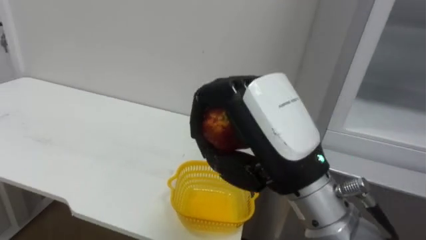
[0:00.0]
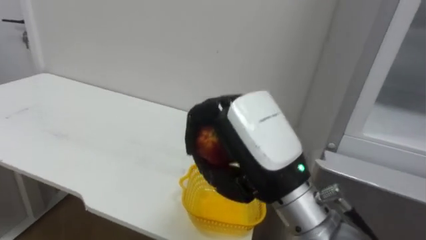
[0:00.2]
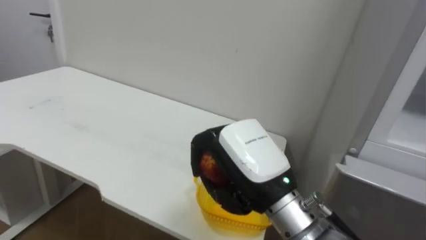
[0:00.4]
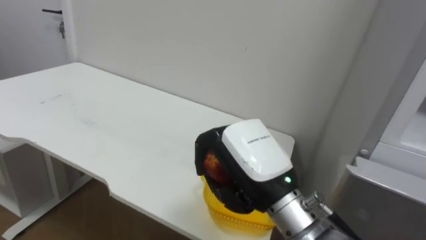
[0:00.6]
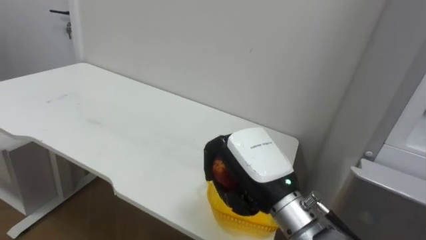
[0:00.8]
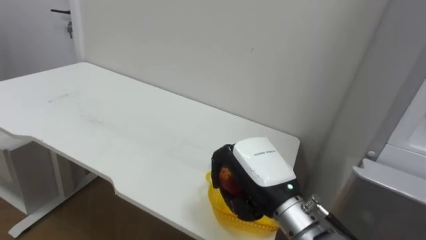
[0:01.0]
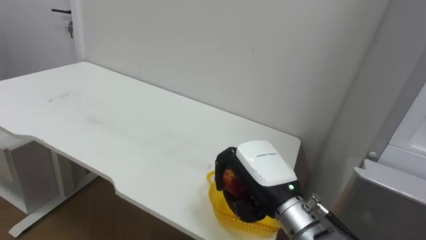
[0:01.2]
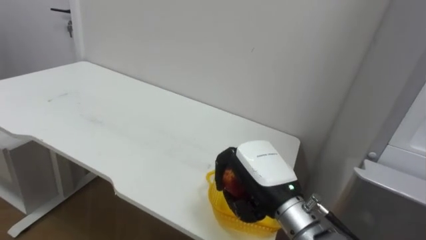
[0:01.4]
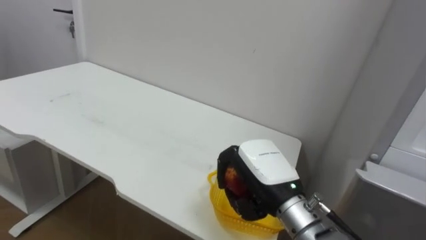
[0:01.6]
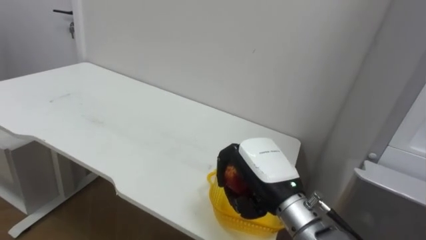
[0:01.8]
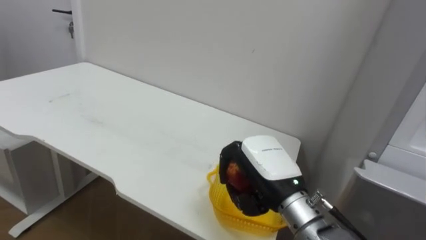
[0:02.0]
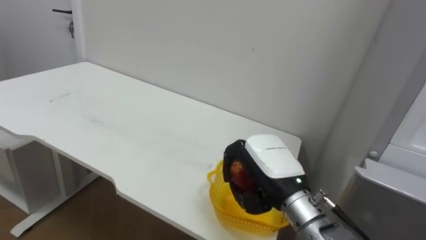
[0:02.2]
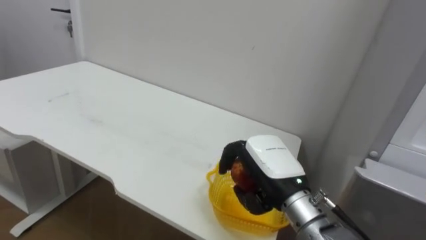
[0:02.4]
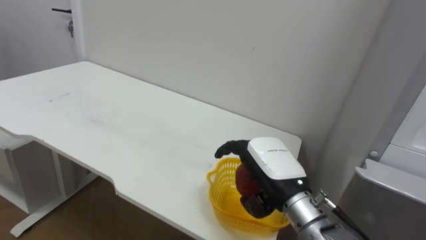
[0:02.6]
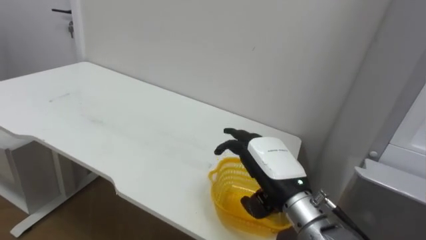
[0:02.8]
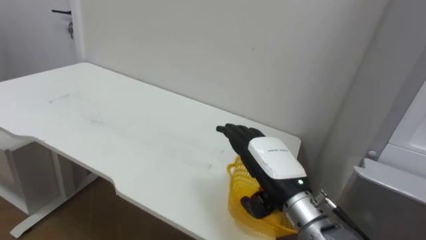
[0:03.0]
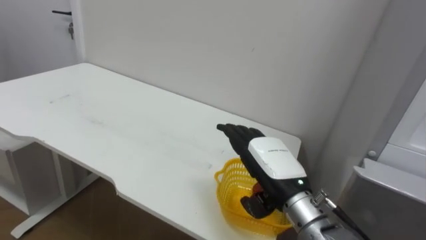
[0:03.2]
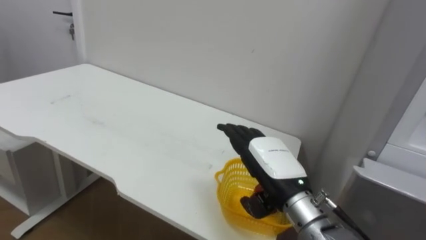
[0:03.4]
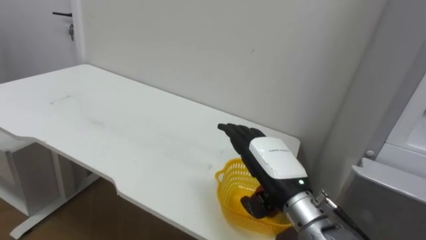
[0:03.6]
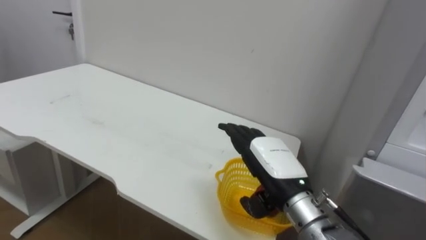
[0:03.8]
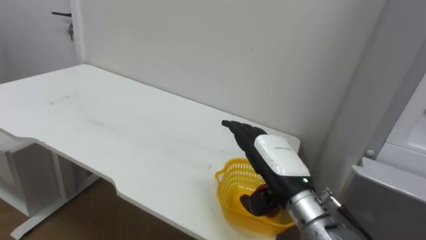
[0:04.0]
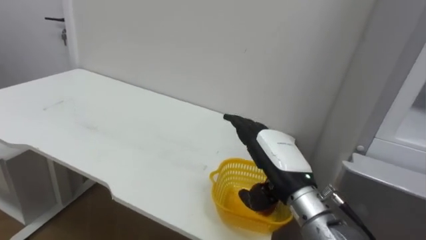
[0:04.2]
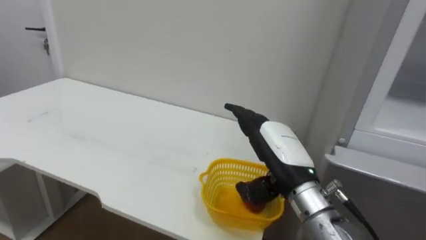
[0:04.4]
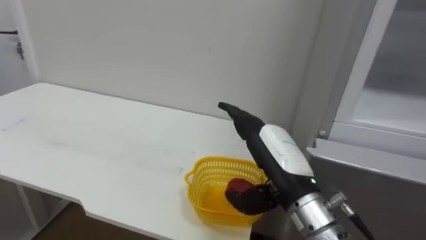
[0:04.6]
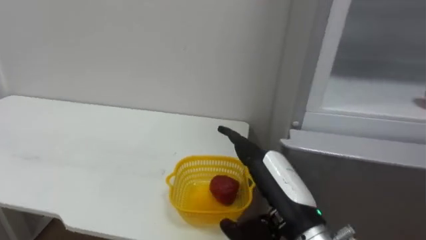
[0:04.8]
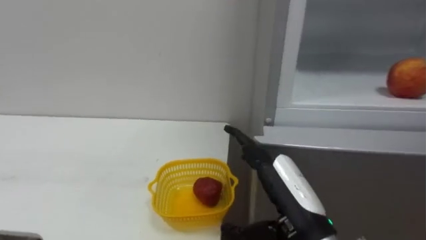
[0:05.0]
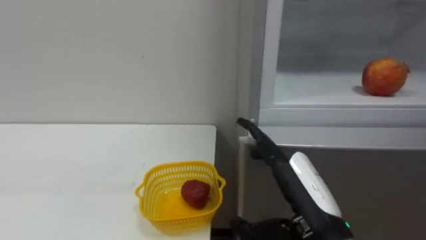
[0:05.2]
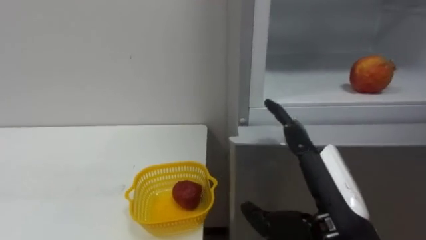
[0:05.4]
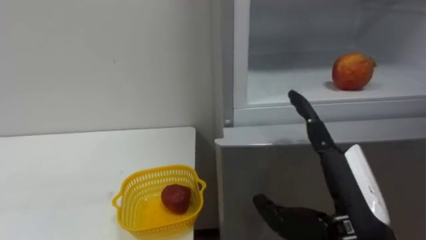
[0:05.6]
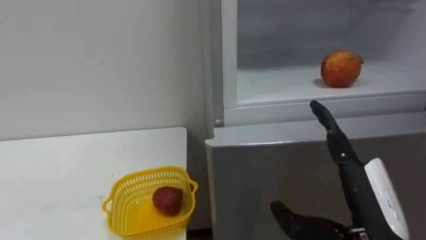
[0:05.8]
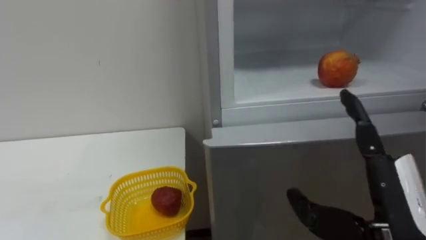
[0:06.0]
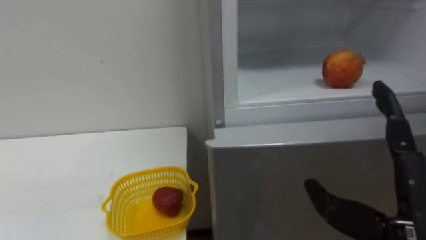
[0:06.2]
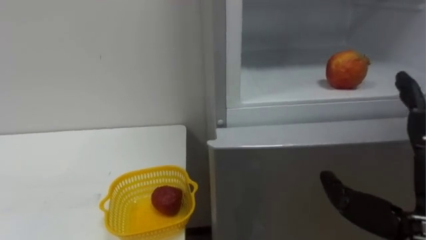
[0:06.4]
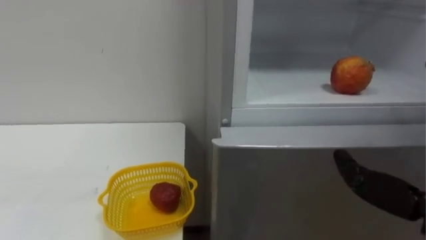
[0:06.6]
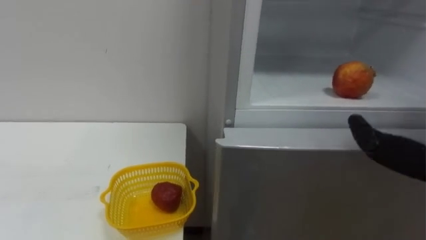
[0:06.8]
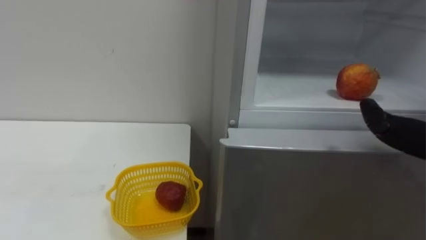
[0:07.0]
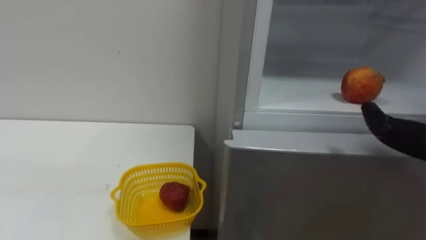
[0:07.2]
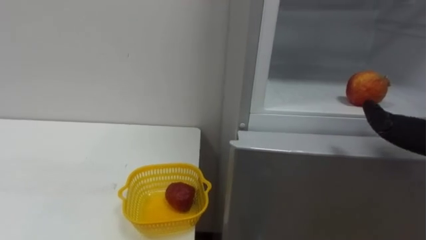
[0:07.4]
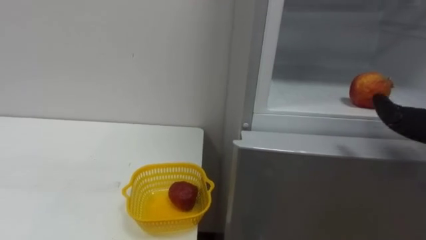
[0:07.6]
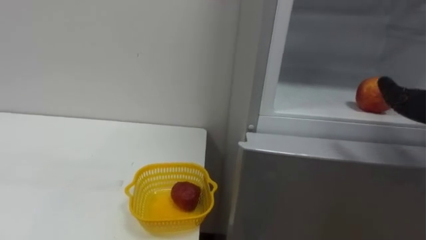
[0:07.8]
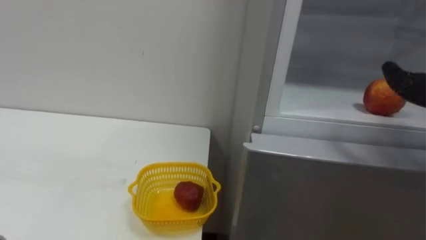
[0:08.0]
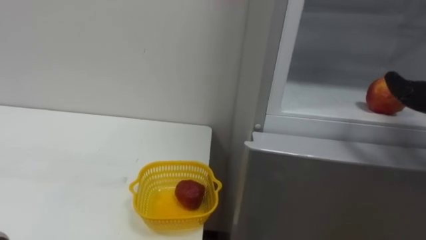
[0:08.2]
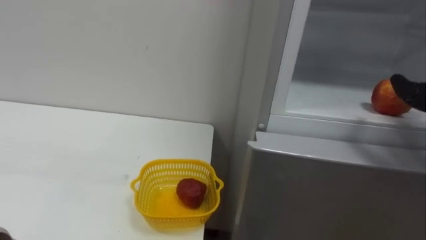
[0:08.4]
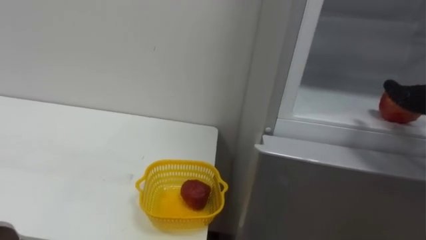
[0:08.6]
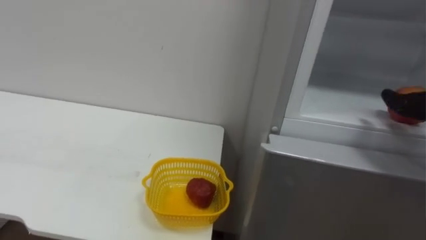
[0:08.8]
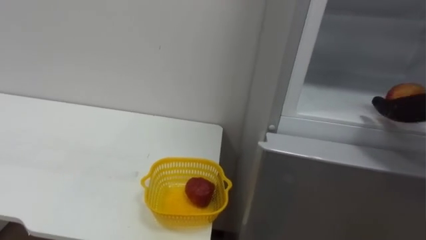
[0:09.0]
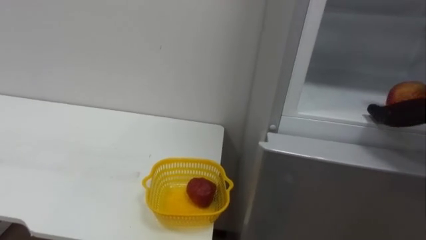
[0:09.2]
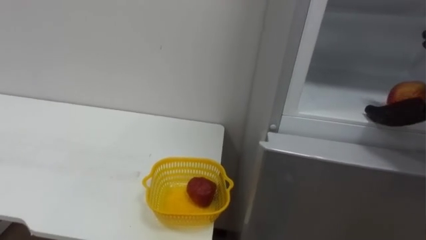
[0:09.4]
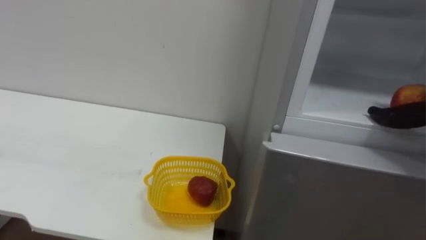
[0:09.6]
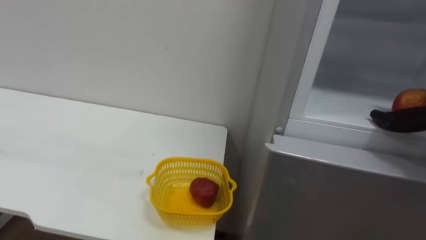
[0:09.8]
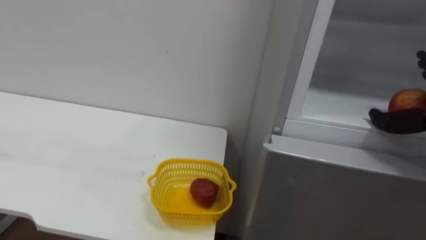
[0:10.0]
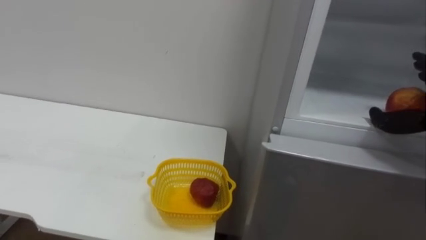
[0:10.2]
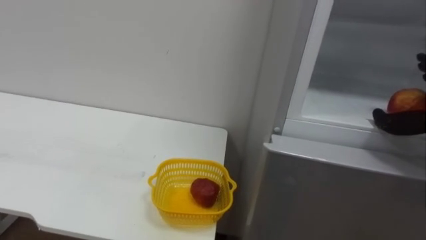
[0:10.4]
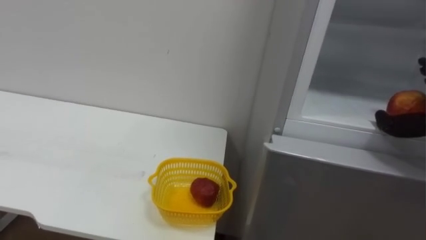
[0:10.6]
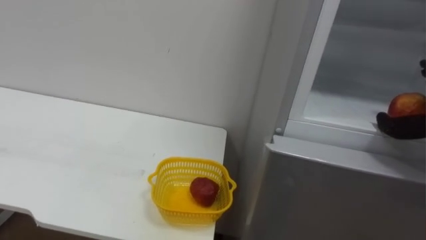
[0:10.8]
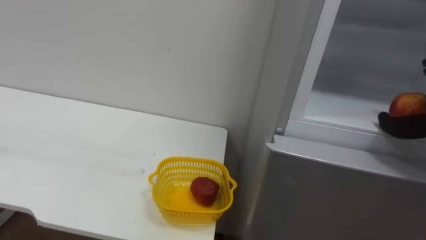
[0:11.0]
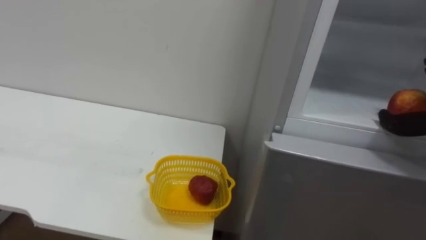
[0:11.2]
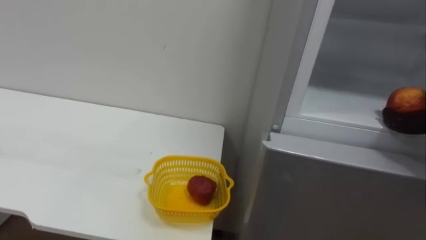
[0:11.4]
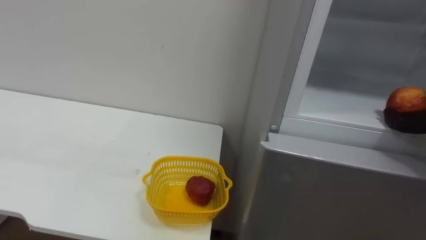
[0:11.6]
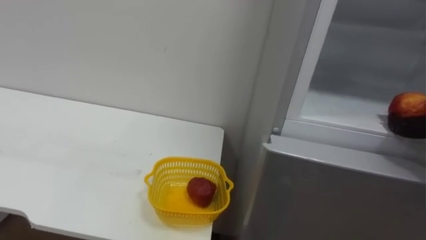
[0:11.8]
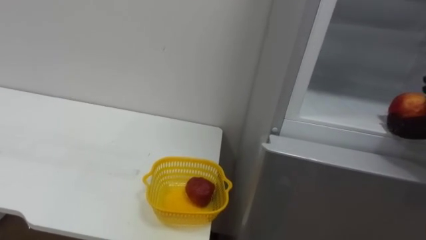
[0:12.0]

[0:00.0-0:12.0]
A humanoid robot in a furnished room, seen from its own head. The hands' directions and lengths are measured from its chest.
Task of the whole recording: Open the refrigerator door, take out the apple and the pomegranate, place them in the fruit basket on the left, and close the refrigerator door.
0:00.0 to 0:01.6: The right hand moves downward and forward, roughly 15 cm.
0:01.6 to 0:03.0: The right hand opens its fingers.
0:04.4 to 0:06.0: The right hand travels backward and to the right by approximately 15 cm.

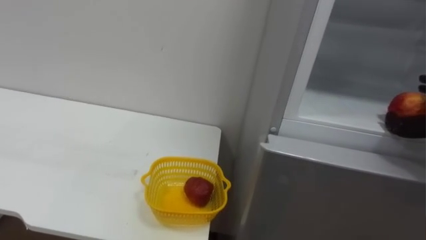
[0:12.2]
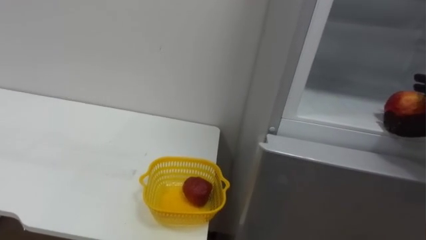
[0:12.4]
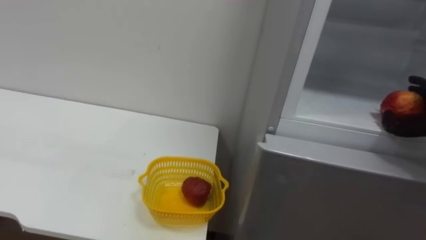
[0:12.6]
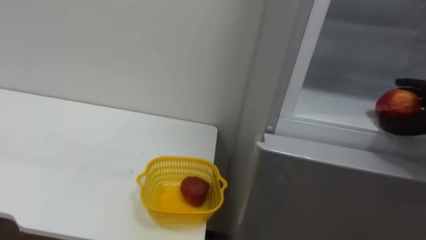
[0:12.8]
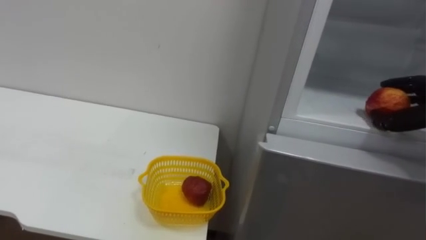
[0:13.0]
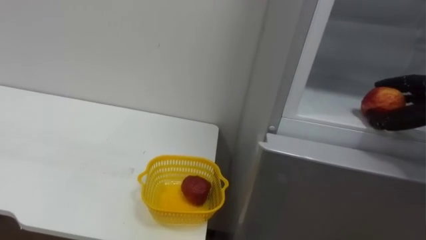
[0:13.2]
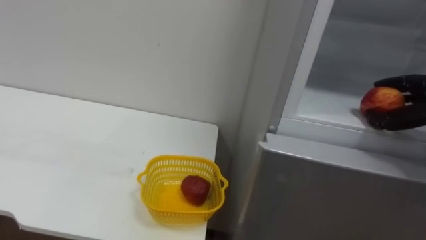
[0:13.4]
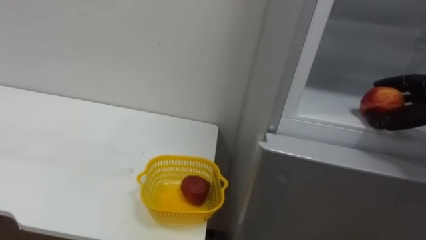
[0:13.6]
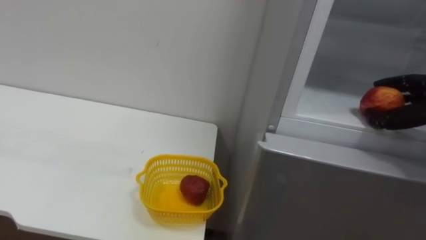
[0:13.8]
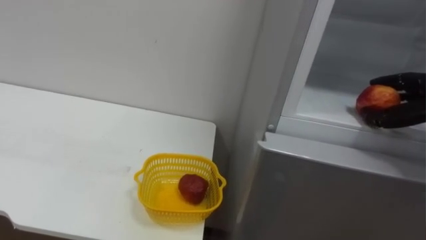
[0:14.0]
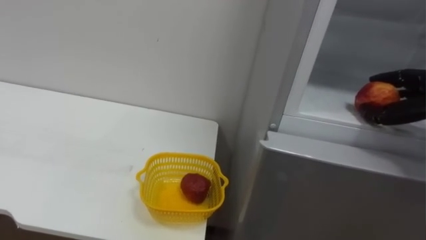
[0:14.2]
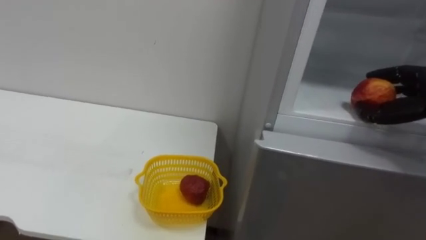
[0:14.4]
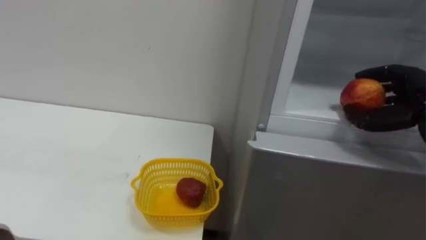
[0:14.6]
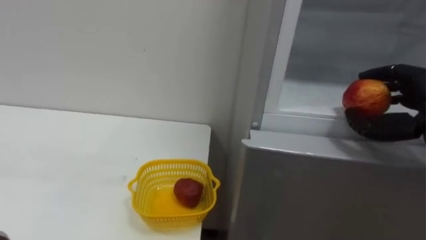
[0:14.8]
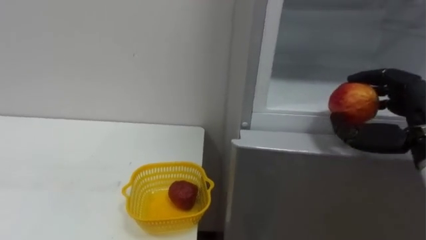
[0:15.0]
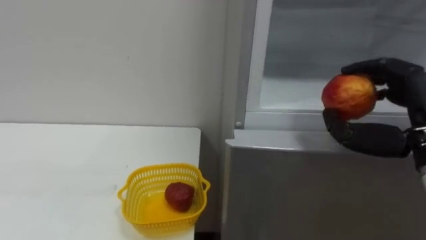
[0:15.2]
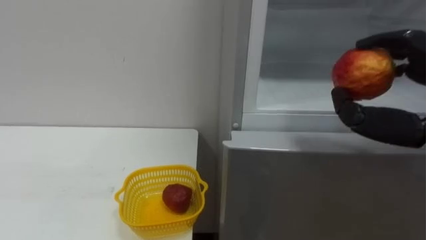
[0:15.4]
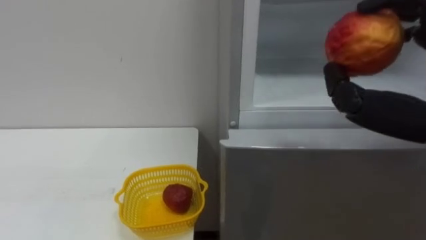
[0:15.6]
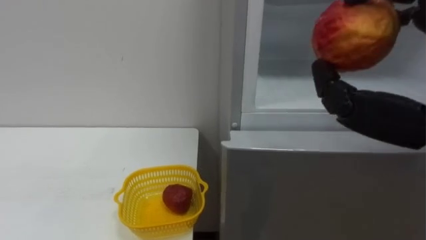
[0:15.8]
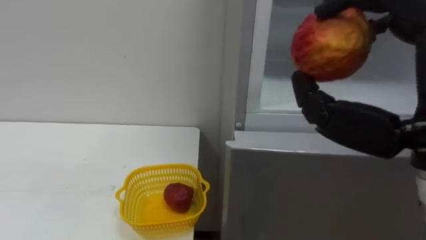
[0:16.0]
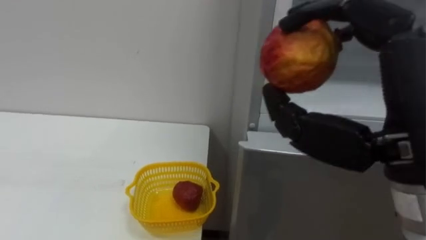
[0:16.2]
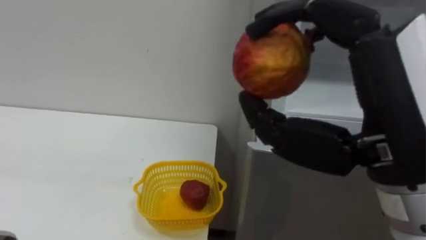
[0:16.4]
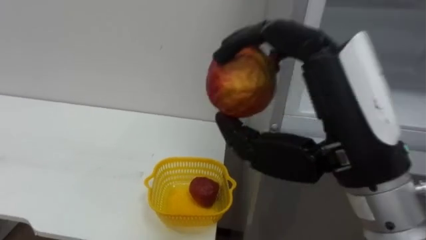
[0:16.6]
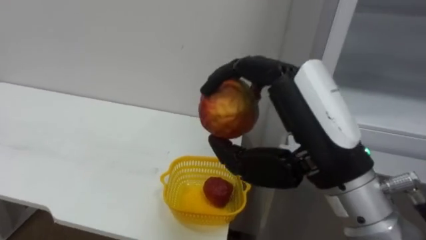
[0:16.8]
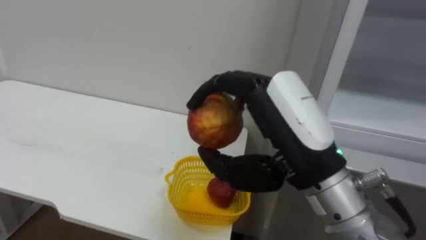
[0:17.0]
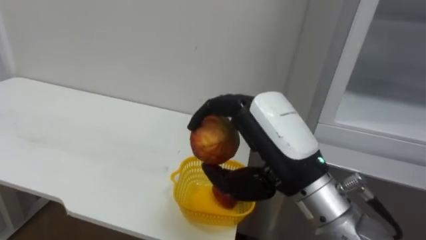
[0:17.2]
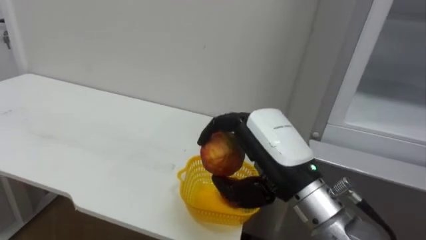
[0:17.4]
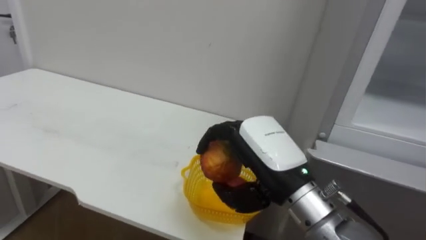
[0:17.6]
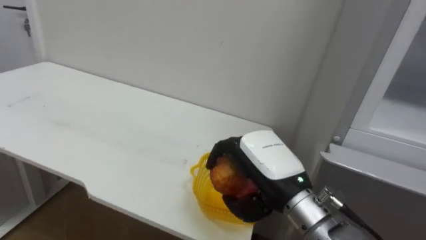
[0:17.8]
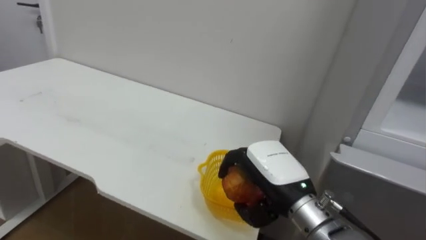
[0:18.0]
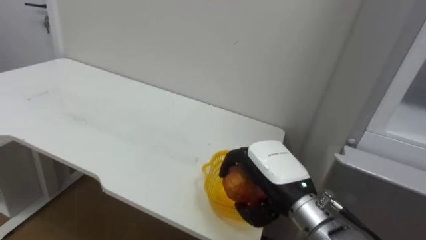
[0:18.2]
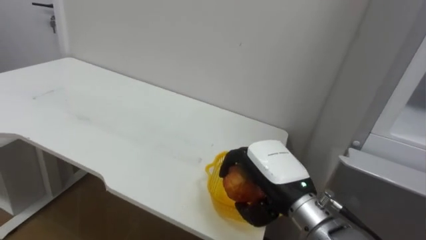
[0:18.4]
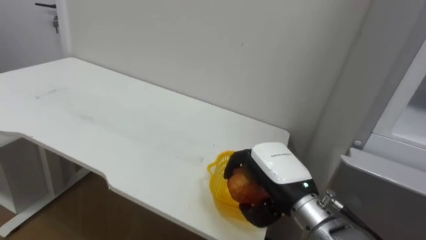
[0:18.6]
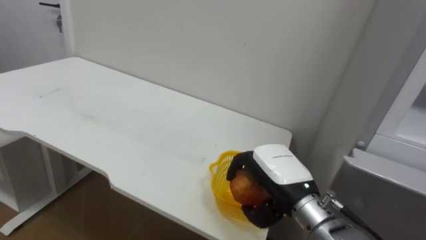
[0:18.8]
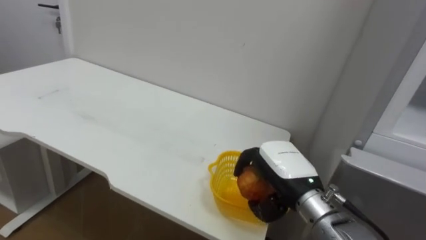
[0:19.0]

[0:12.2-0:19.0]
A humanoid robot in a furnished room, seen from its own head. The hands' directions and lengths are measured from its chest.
Task of the whole recording: Open the refrigerator door, take out the apple and the pomegranate, place them in the fruit basket on the left, and close the refrigerator door.
0:16.2 to 0:17.6: The right hand moves downward, forward and to the left, about 20 cm.
0:17.6 to 0:19.0: The right hand is displaced downward and forward by about 10 cm.
